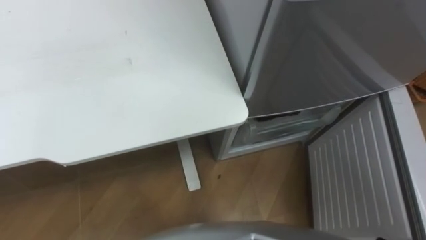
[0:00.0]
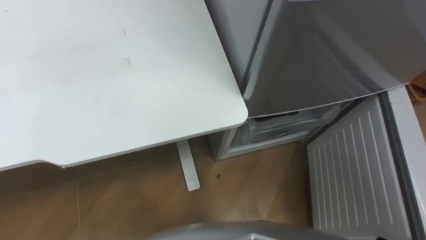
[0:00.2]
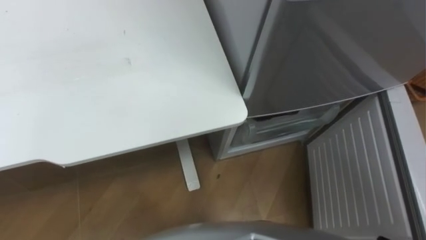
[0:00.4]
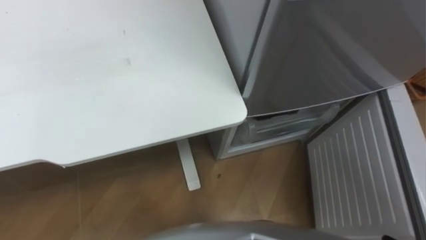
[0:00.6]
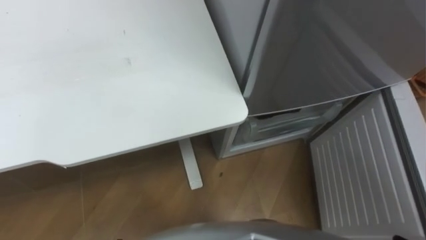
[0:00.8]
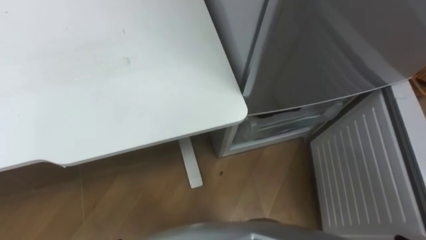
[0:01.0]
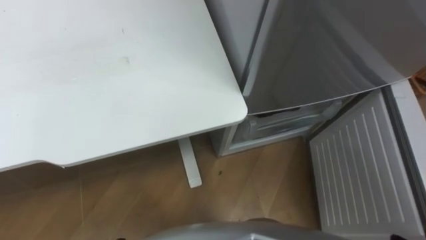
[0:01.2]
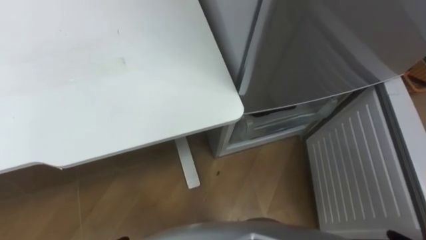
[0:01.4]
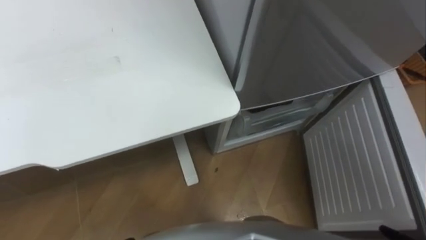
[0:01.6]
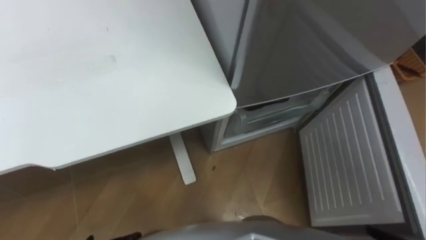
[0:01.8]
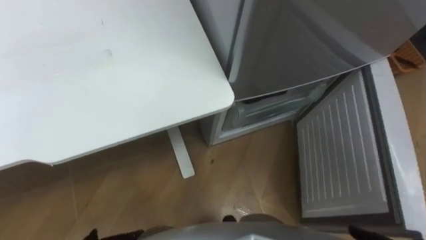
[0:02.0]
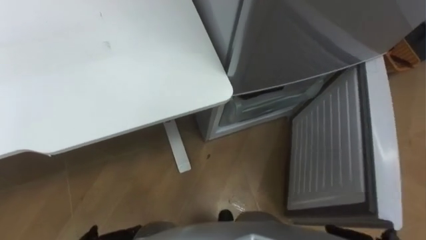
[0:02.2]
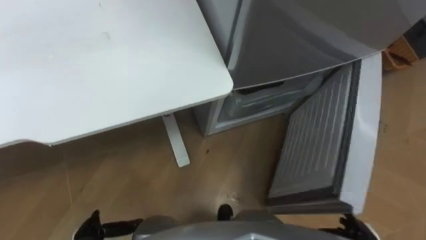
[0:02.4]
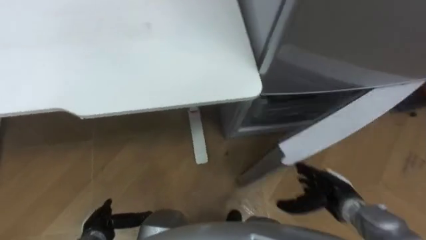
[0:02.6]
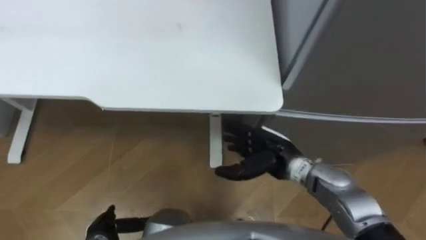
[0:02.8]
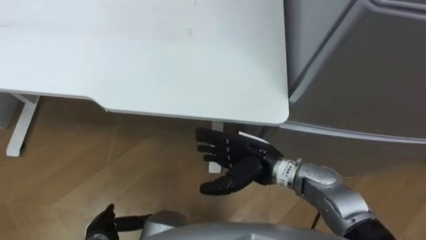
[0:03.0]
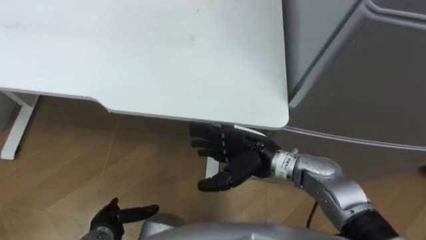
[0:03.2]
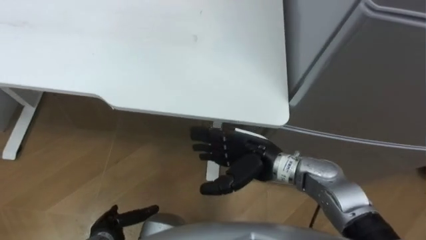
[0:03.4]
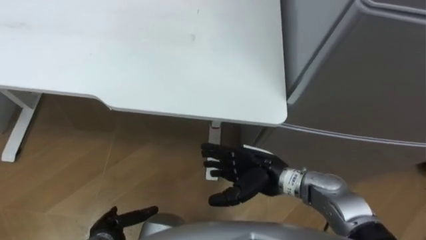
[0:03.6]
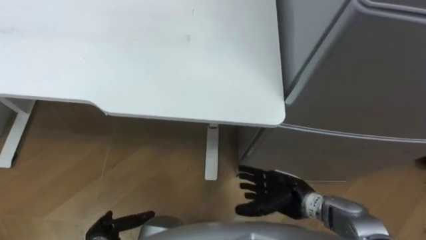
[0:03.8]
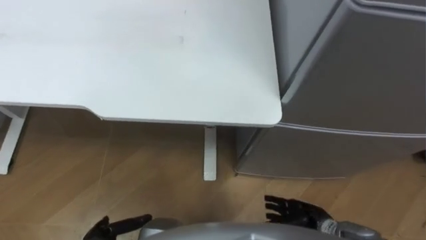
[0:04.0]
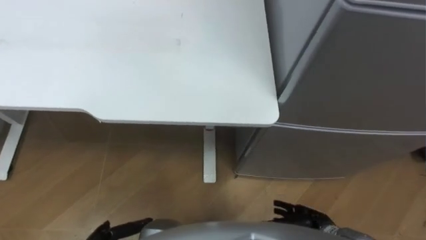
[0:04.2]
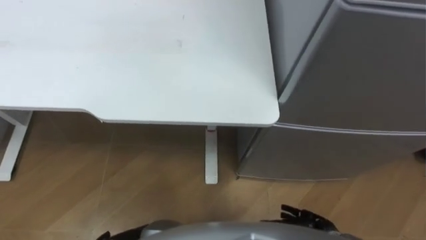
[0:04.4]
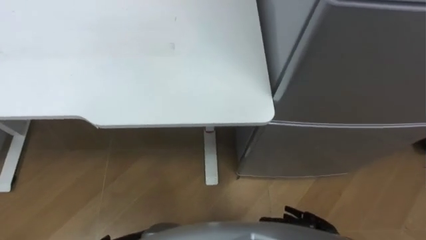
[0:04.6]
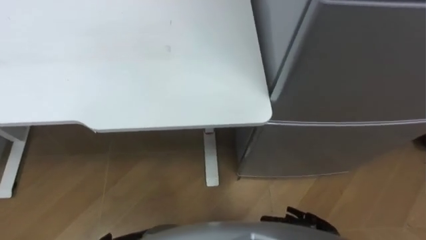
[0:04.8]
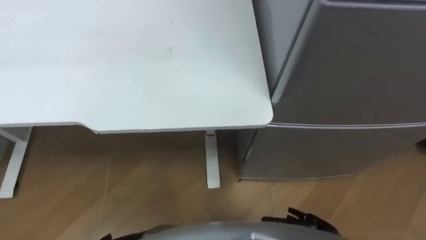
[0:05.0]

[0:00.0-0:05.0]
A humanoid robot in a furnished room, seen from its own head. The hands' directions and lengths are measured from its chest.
Task of the whole recording: Place the drink on the table on the bottom shelf of the refrigerator, then close the drawer and the refrigerator door.
0:03.4 to 0:05.0: The right hand heads downward, to the right and backward, covering some 25 cm.

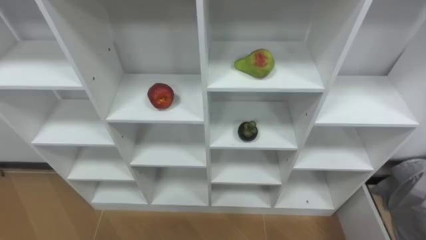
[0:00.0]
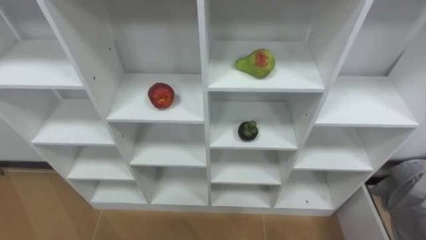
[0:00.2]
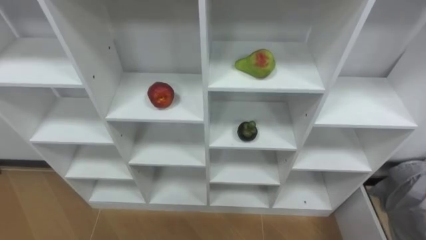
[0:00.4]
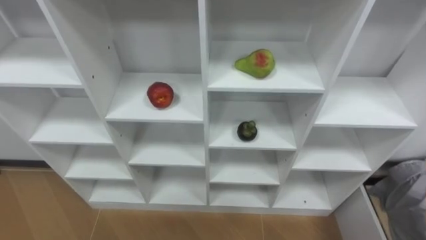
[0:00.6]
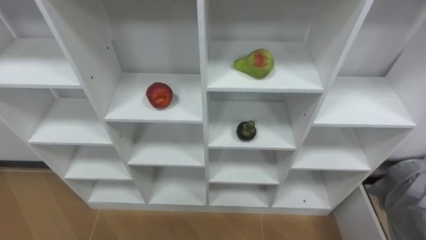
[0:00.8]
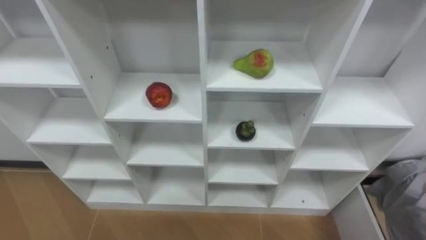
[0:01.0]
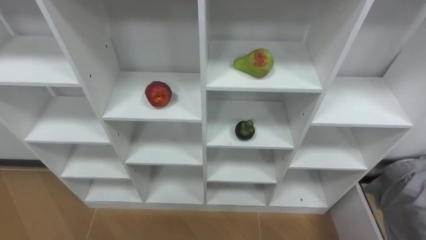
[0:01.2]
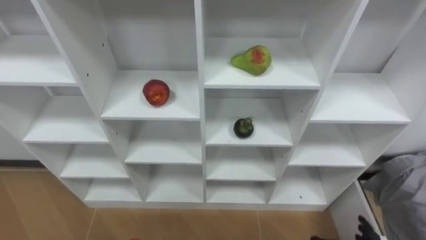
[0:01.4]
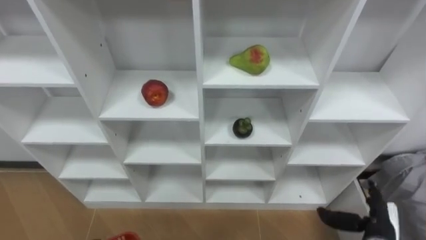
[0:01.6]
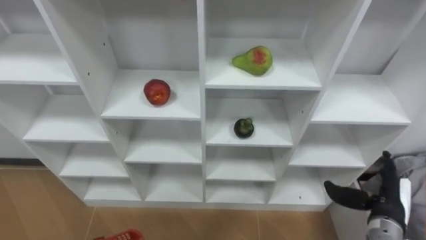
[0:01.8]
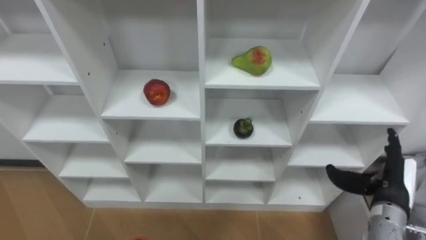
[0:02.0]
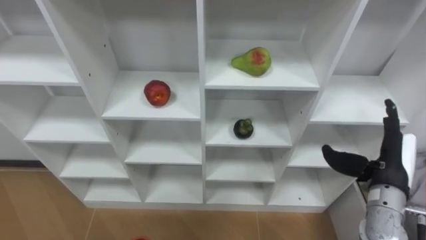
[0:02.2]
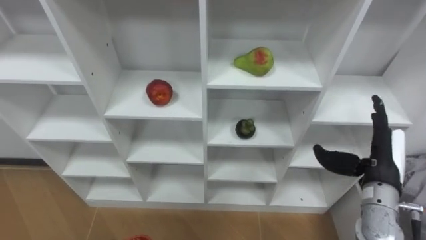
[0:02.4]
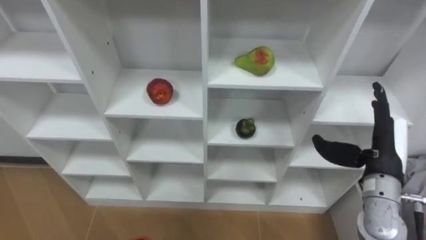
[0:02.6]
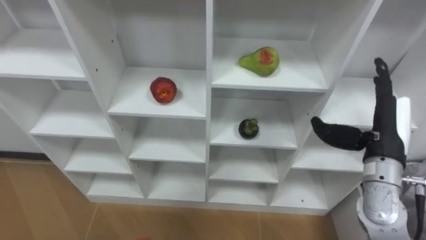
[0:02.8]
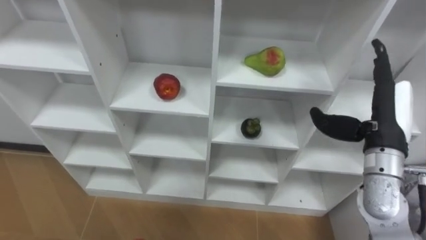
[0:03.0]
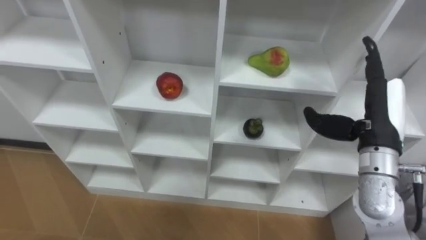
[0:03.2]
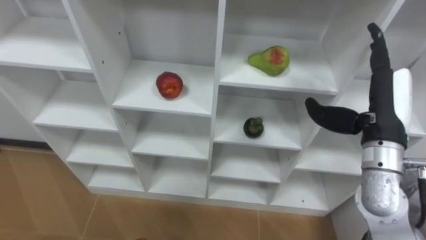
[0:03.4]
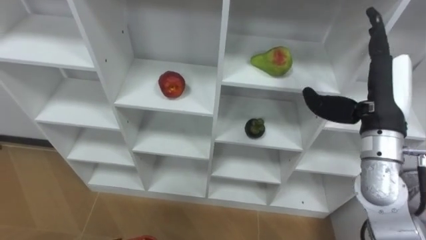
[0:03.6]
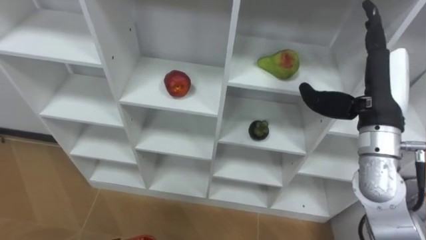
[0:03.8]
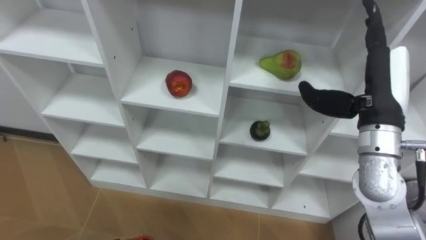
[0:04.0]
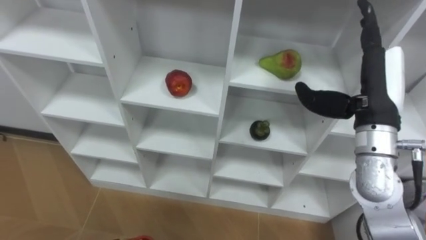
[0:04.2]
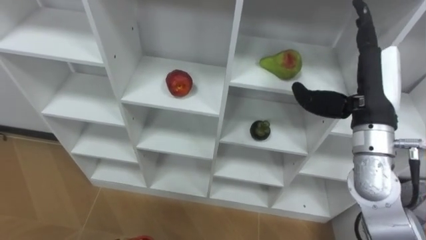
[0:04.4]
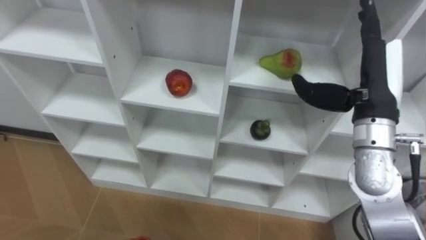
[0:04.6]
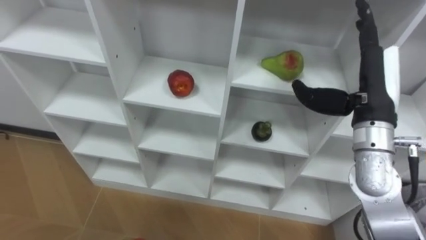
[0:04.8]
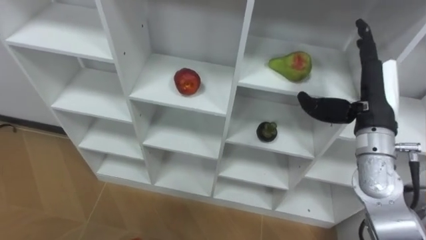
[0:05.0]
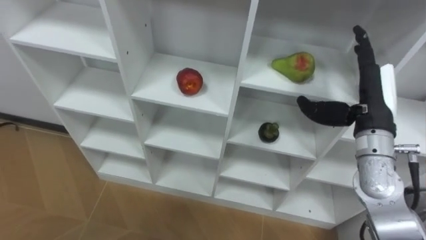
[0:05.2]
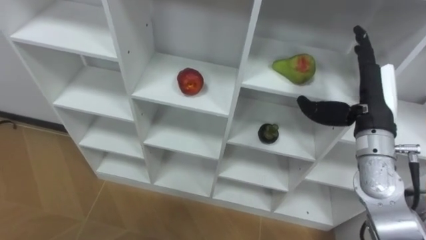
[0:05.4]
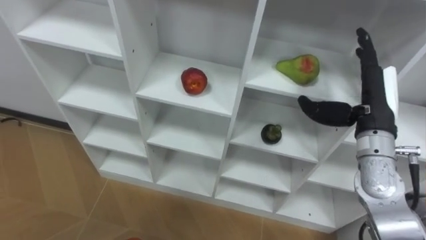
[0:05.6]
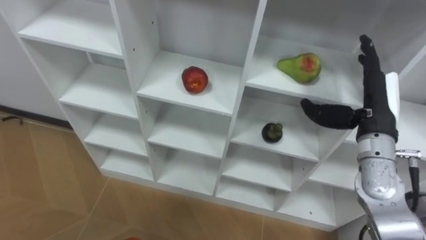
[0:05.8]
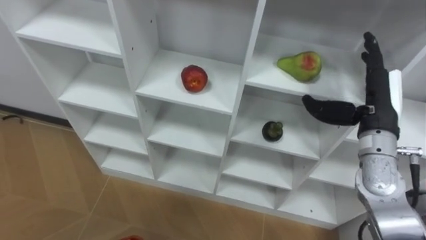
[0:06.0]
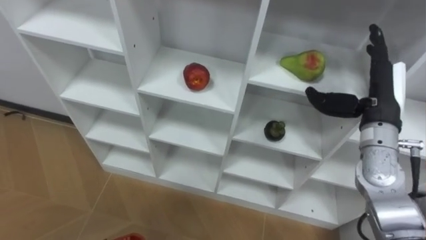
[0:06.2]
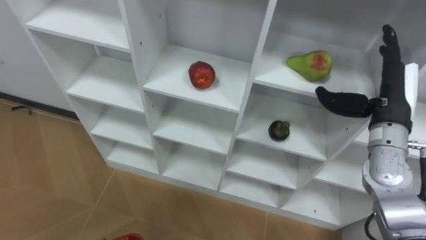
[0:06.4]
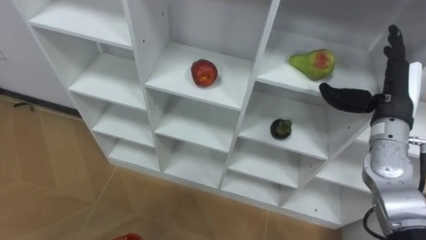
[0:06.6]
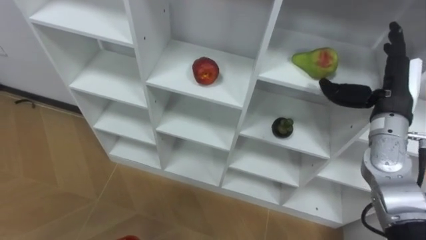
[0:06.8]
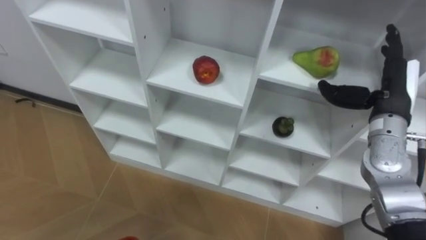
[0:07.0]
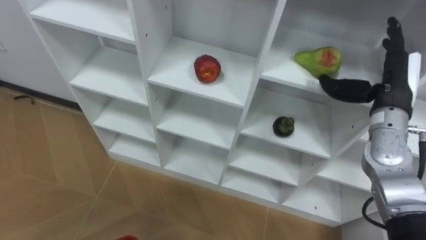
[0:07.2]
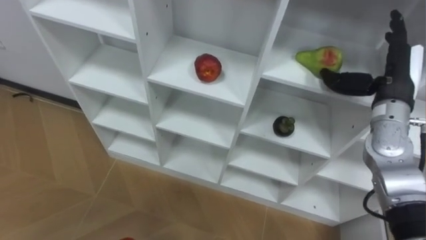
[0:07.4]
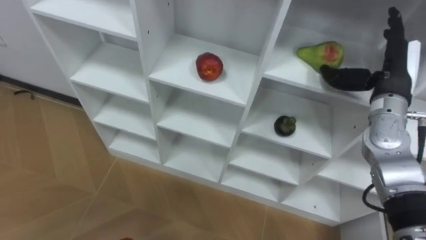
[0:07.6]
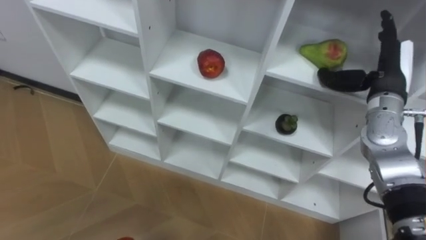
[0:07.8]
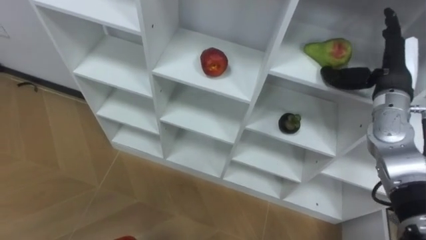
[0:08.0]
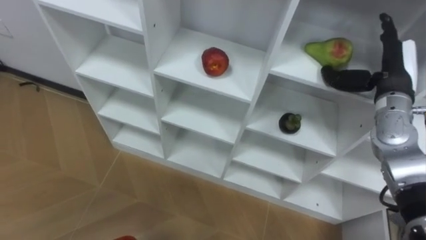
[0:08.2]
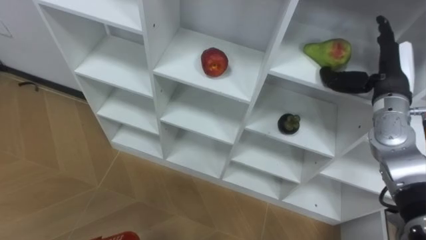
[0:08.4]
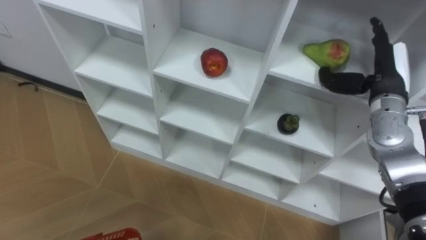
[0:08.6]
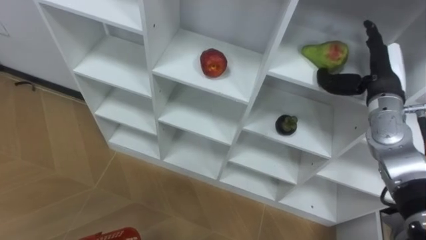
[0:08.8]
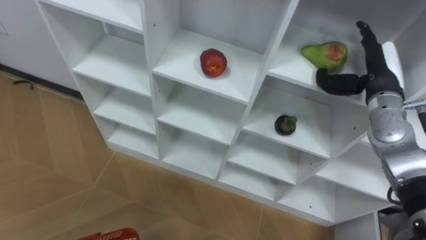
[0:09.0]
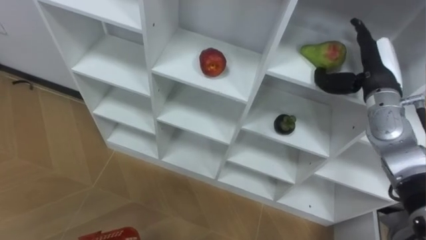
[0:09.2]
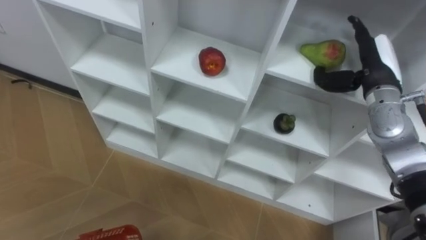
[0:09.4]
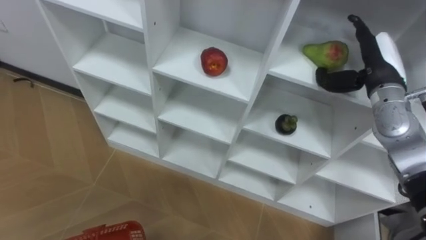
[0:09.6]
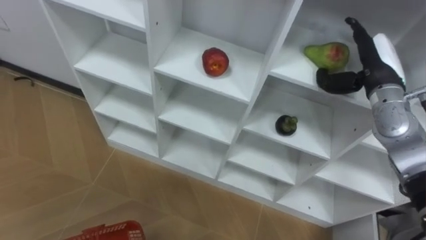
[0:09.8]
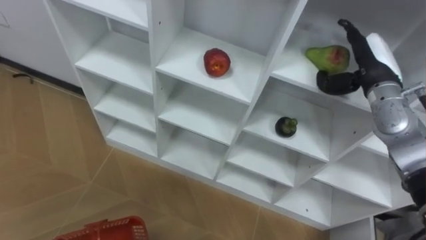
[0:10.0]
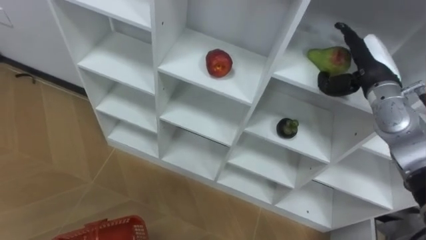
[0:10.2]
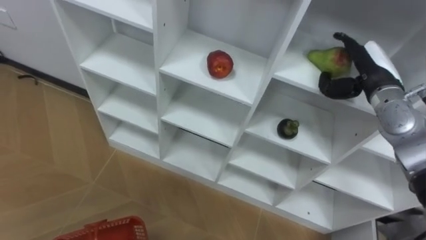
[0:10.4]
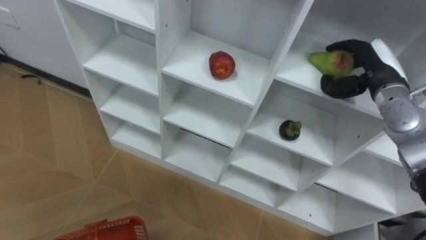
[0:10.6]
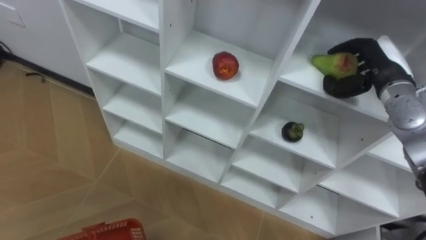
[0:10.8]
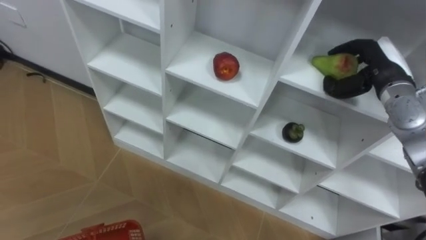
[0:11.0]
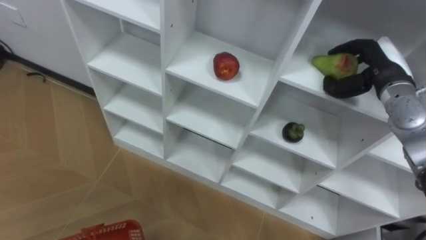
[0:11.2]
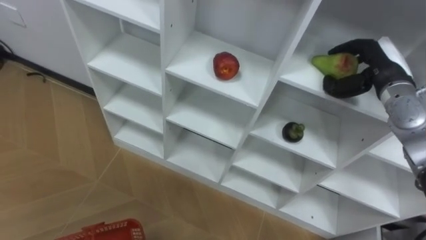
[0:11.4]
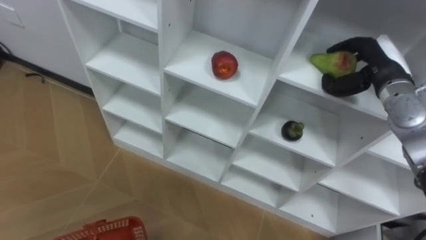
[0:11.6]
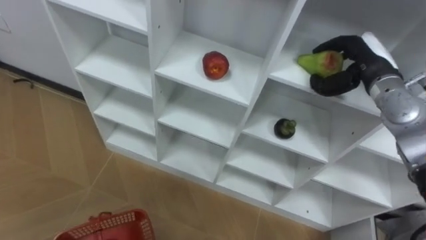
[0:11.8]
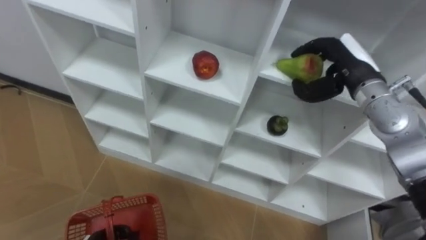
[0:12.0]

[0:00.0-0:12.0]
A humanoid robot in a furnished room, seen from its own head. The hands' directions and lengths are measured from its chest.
Task of the whole recording: Hold the basket and collect the fruits from 3 different cells of the closet into it.
0:01.6 to 0:03.0: The right hand heads upward and forward, covering approximately 25 cm.
0:03.0 to 0:04.4: The right hand heads upward, covering approximately 5 cm.
0:04.4 to 0:06.0: The right hand is displaced downward by some 5 cm.
0:06.0 to 0:07.6: The right hand is displaced forward by roughly 5 cm.
0:10.4 to 0:12.0: The right hand shifts by roughly 5 cm, and closes its fingers.
